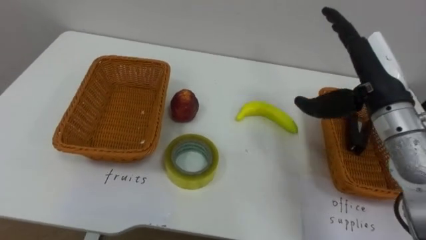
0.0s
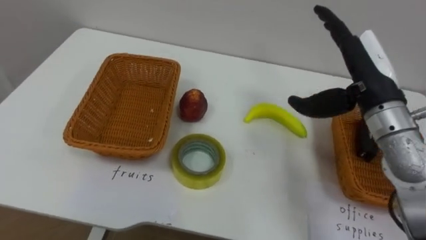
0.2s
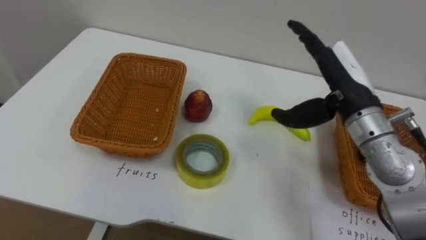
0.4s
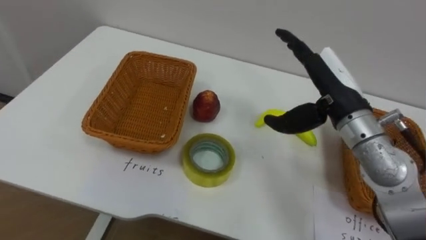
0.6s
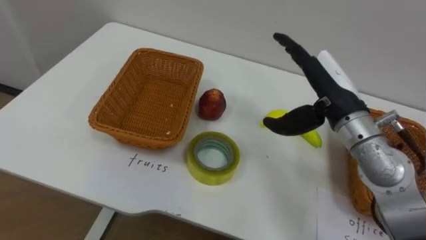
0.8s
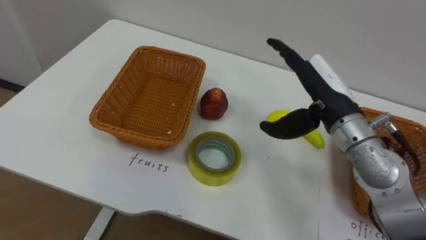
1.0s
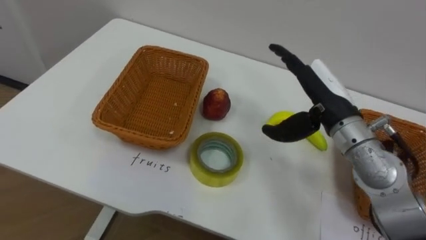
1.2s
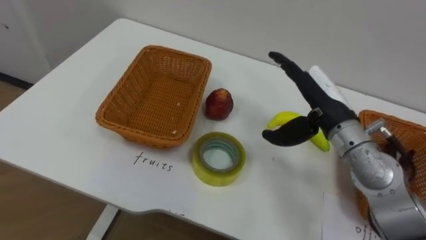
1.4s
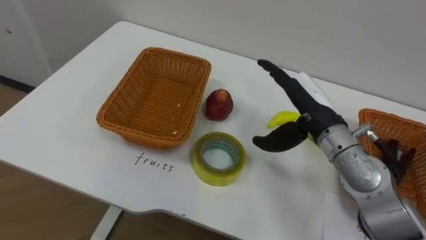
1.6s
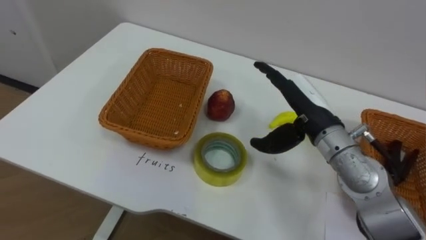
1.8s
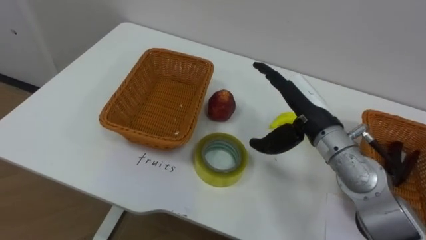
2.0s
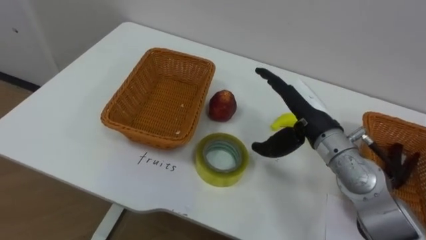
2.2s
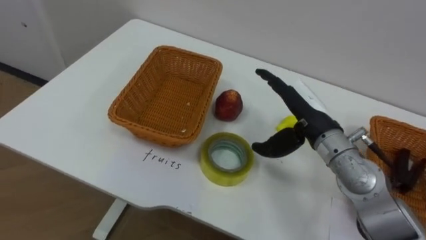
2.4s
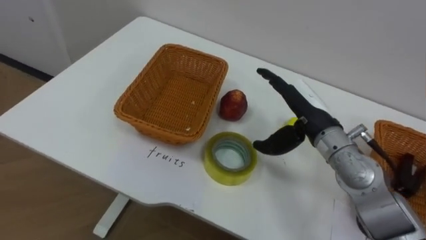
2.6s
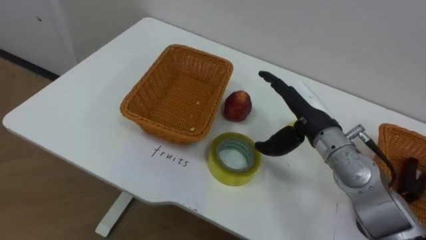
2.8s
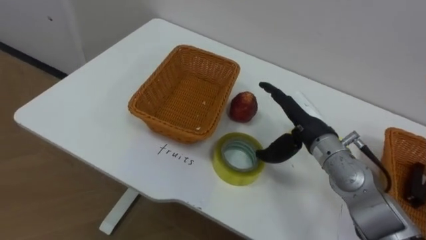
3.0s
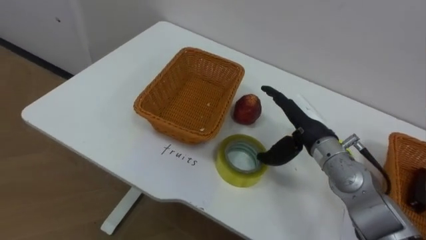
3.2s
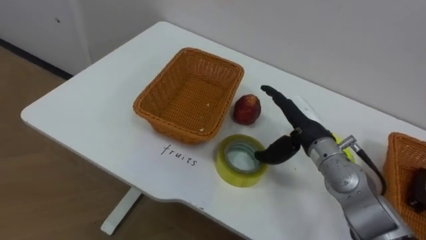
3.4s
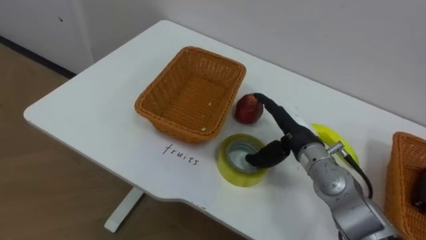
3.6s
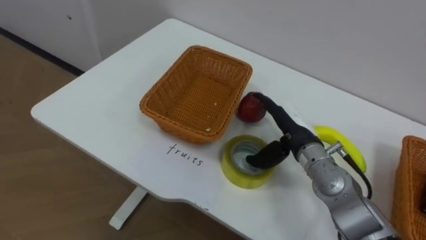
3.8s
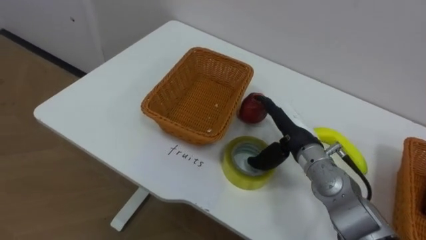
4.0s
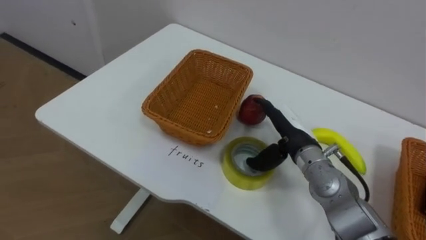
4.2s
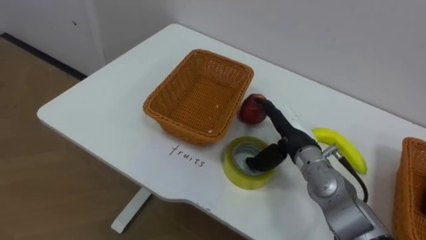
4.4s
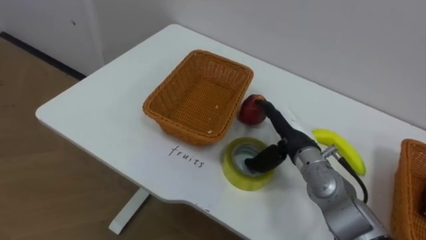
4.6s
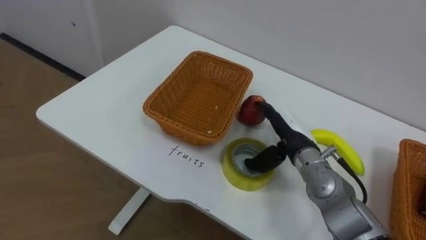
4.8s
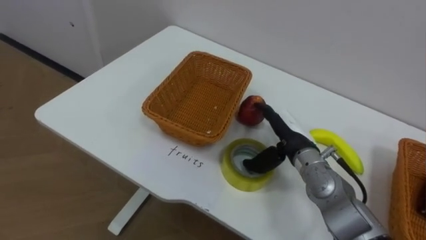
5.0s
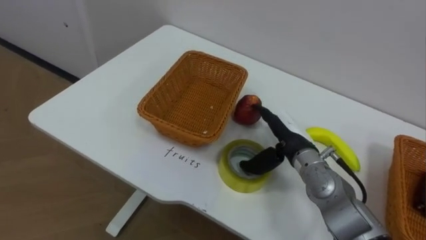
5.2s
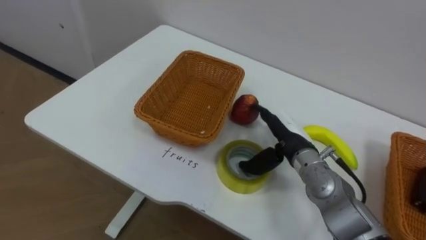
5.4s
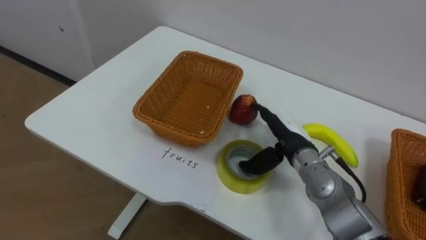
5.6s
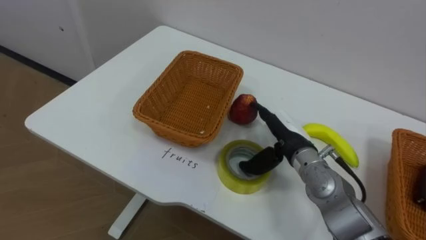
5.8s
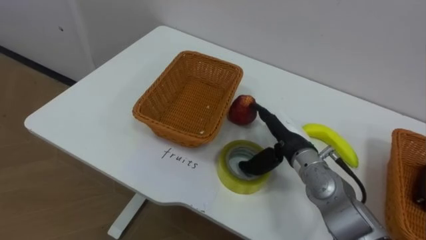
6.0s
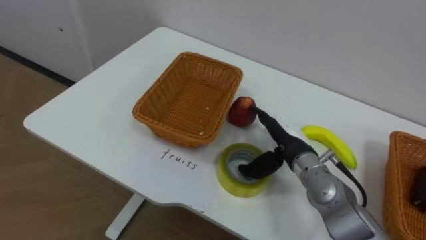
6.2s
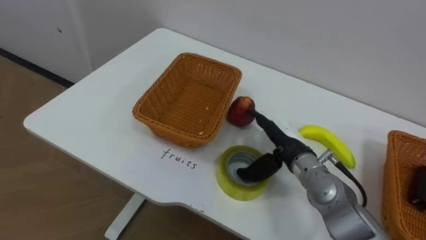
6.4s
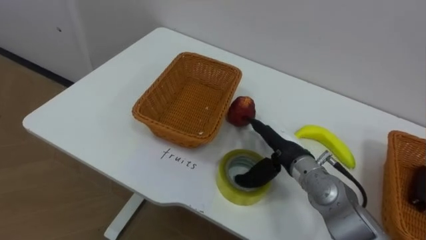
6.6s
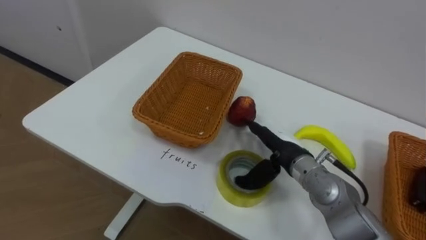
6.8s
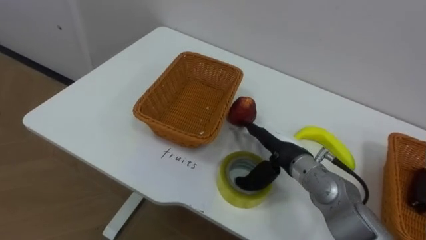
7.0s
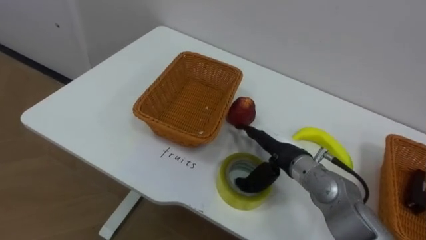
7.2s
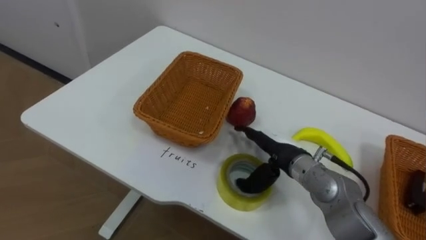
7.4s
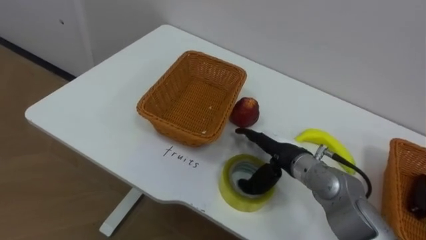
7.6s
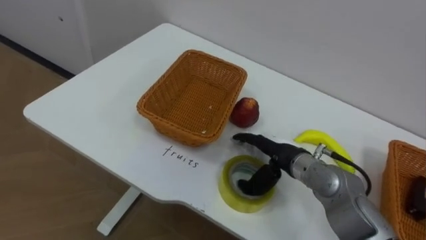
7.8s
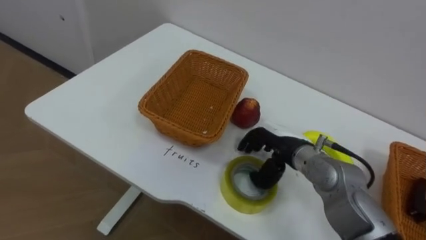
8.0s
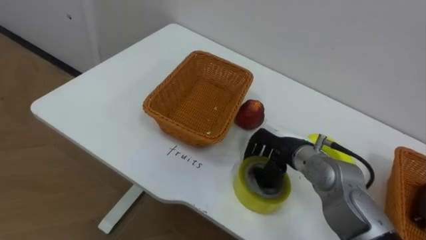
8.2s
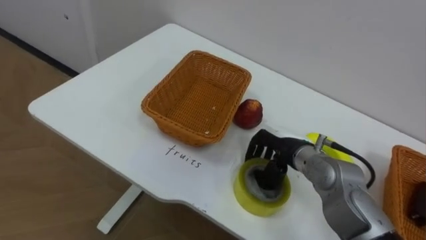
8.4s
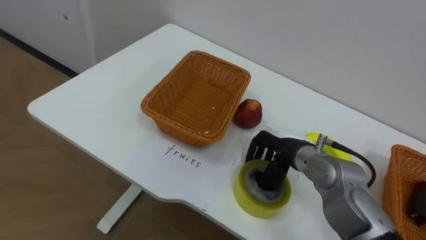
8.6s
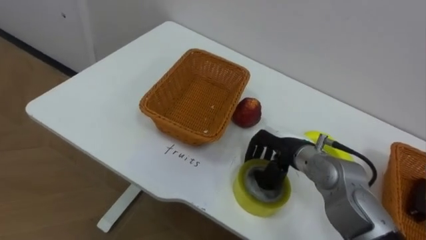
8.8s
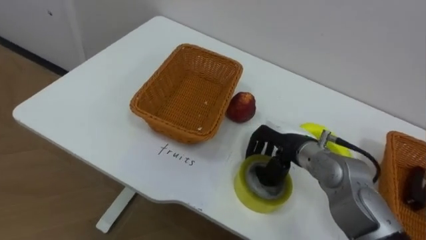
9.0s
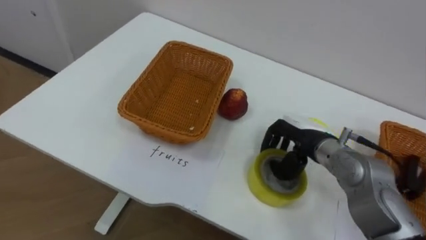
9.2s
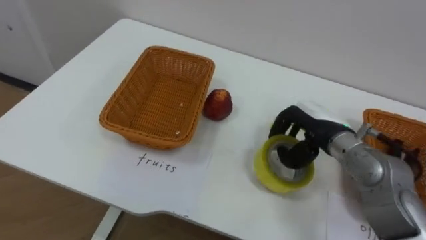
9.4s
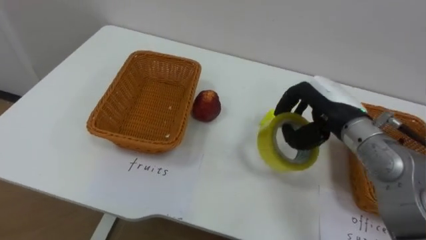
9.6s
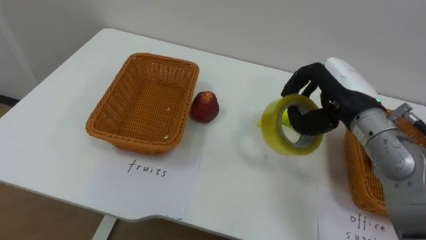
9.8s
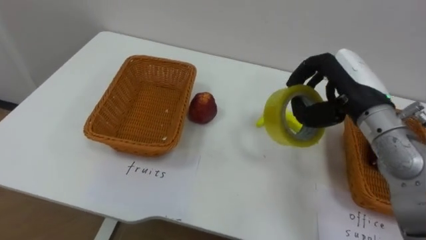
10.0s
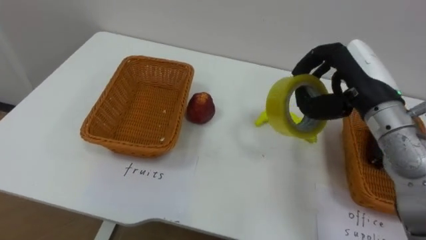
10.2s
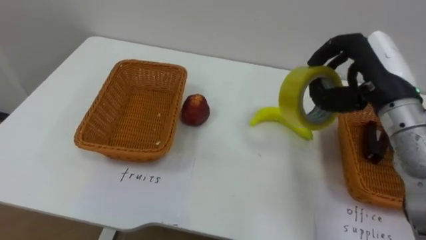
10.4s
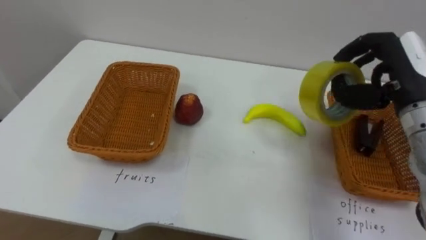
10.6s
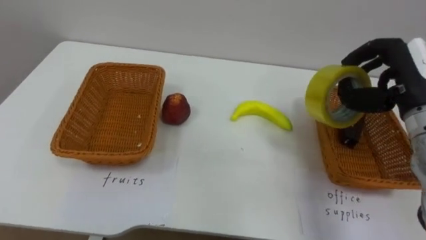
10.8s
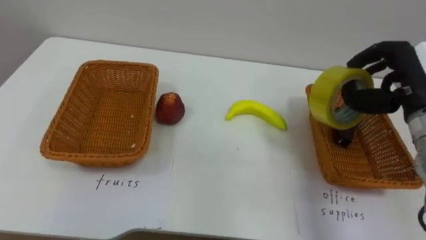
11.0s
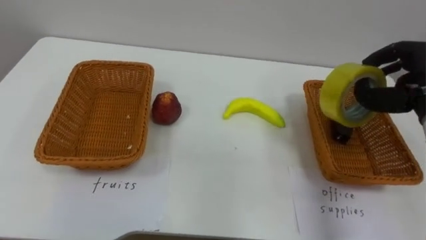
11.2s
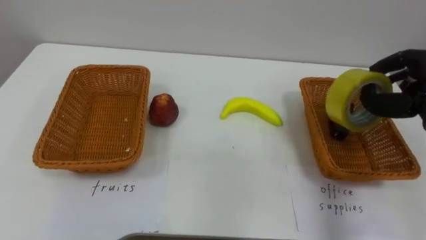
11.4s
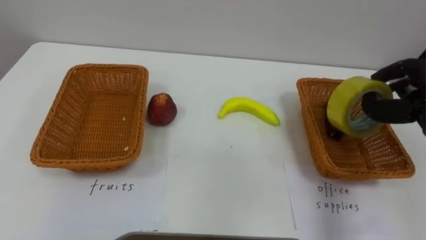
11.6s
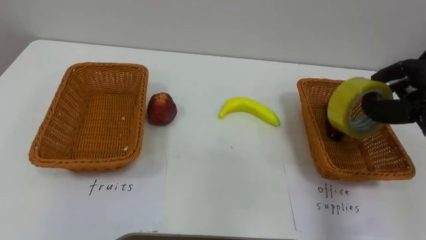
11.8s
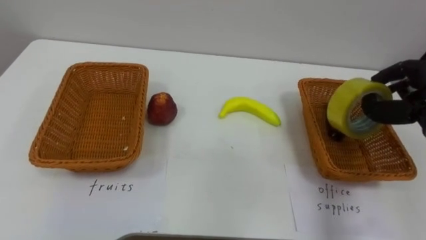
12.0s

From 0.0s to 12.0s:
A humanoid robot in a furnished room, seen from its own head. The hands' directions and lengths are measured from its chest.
Task of the whole recording: Separate the items on the table and place them into the two baskets.
From 0.0s to 1.6s: The right hand goes some 10 cm to the left and downward.
From 7.6s to 9.0s: The right hand closes.
From 9.0s to 10.4s: The right hand is displaced upward and to the right by some 20 cm.

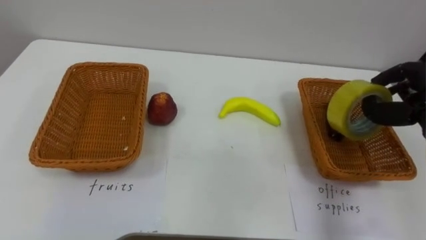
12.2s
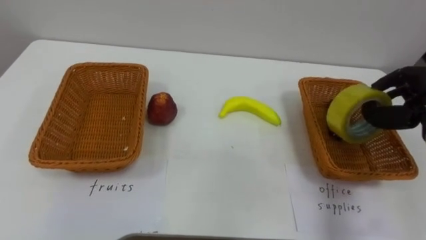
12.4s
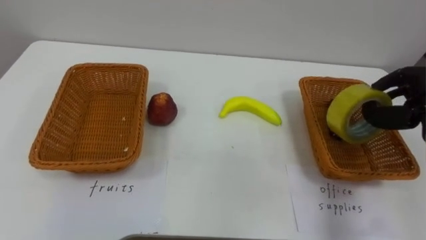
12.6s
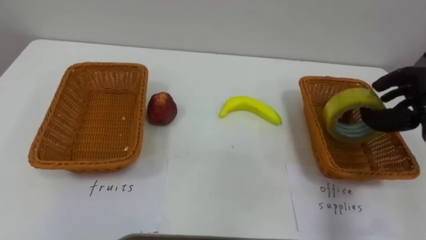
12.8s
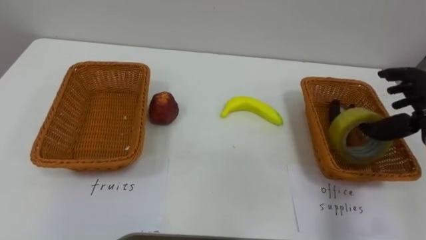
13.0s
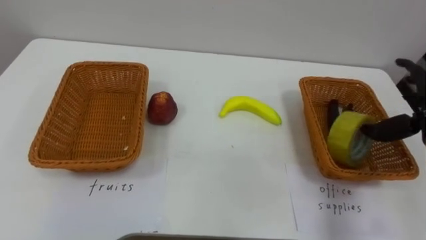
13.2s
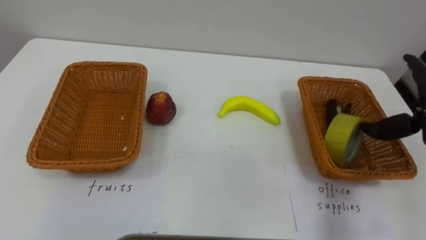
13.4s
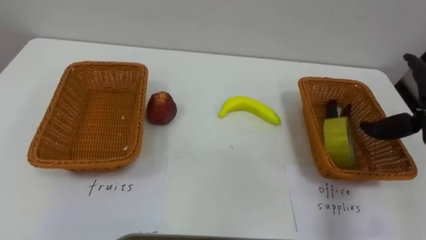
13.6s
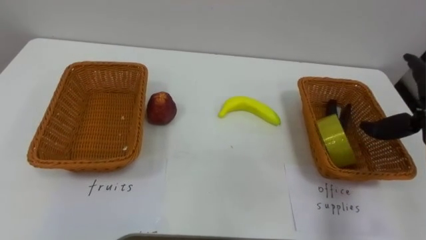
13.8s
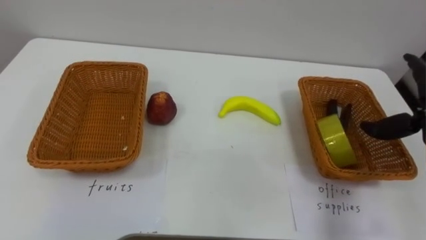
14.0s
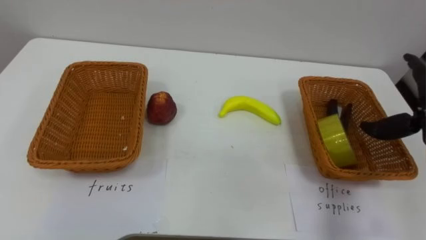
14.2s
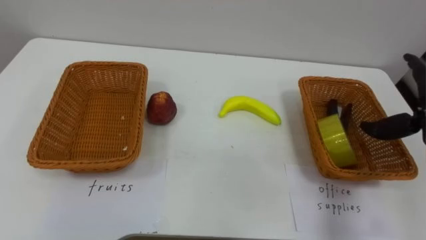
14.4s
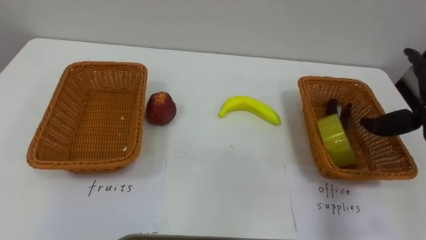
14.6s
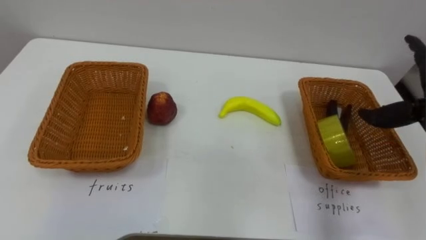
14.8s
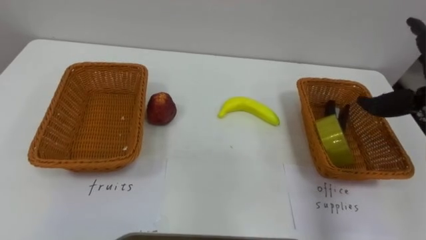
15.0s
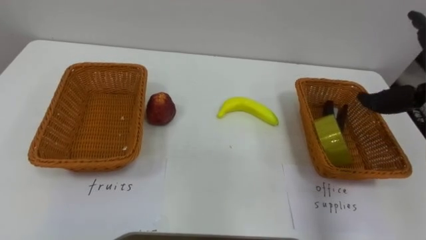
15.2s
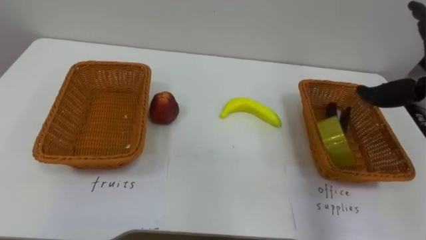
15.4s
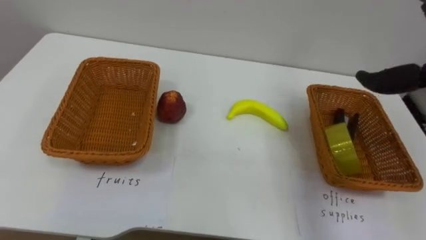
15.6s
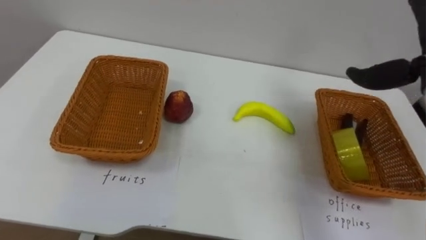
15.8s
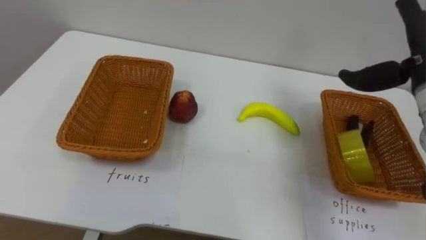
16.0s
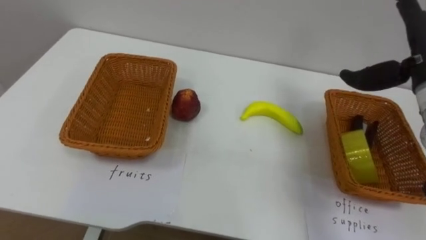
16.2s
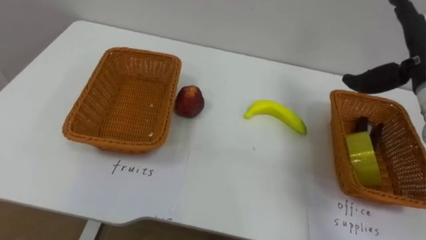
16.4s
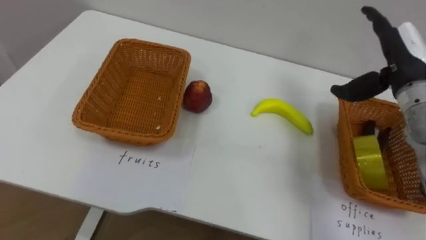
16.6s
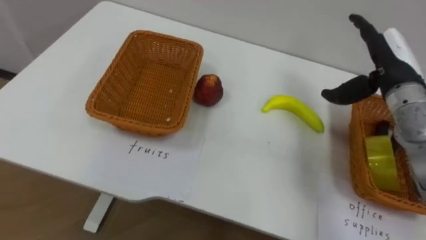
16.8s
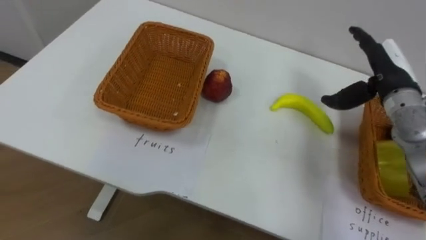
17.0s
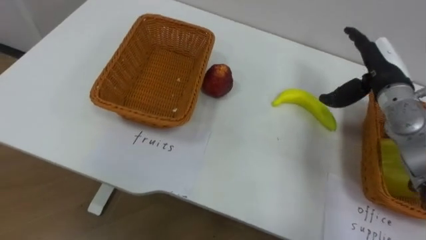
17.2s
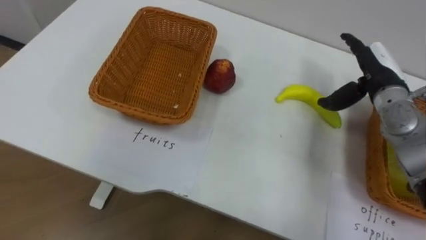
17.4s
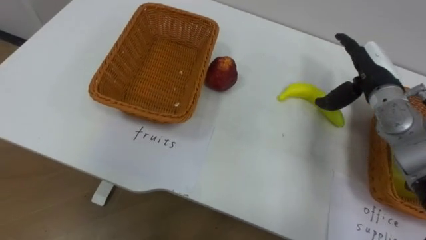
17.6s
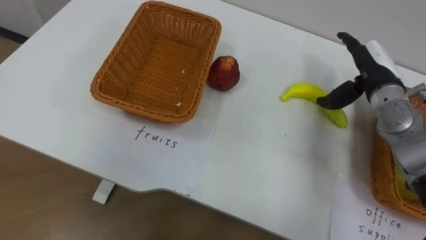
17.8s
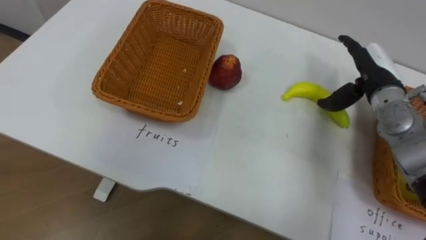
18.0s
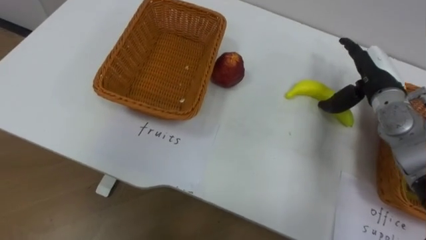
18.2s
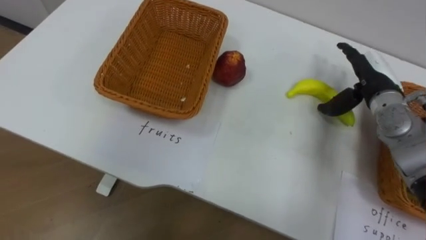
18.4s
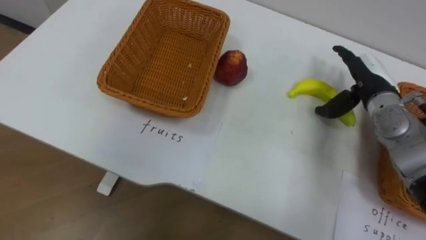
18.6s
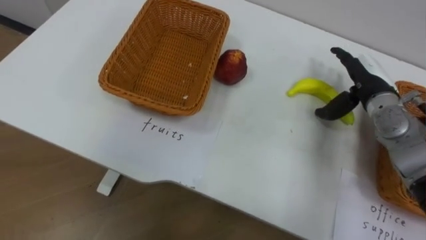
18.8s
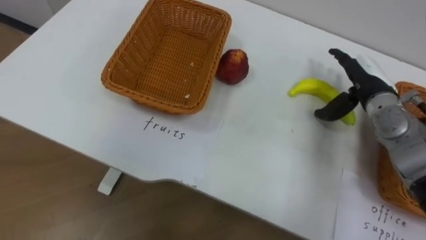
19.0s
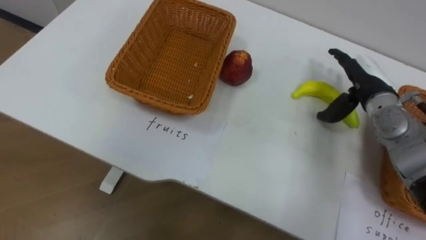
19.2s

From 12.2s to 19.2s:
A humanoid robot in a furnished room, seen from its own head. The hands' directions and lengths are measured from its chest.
Task of the whole recording: Separate the items on the table and place them into the two baskets.
From 16.4s to 17.8s: The right hand moves downward, some 10 cm.
